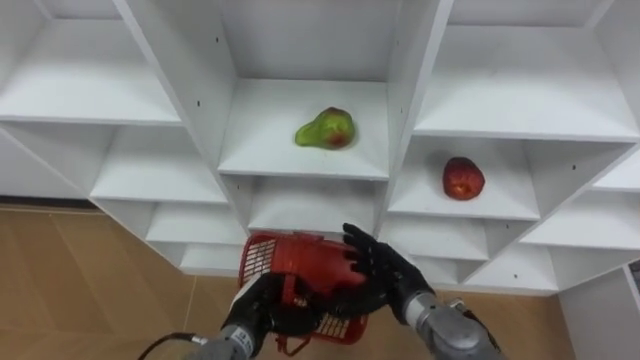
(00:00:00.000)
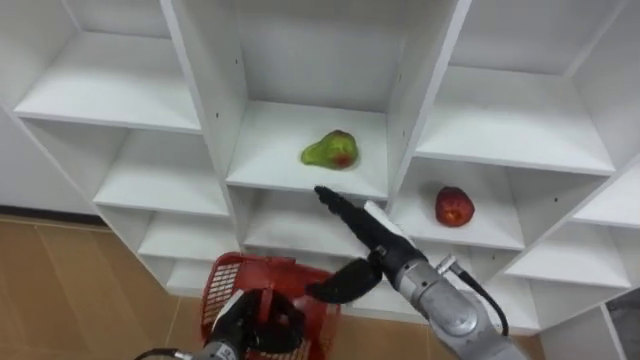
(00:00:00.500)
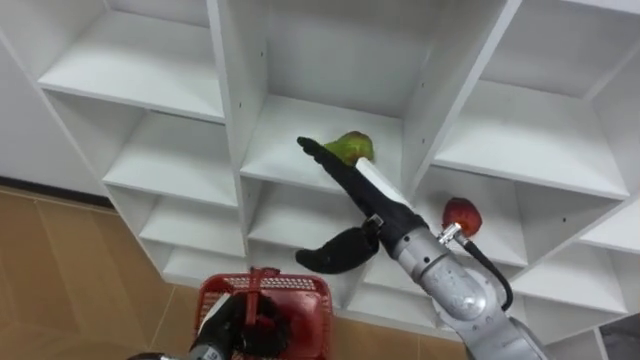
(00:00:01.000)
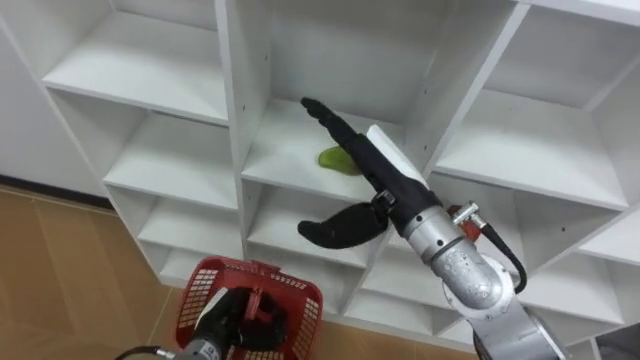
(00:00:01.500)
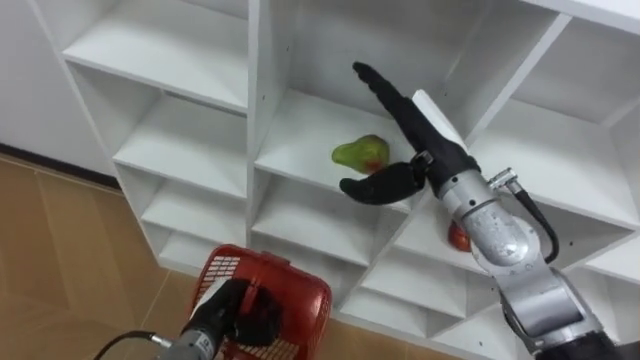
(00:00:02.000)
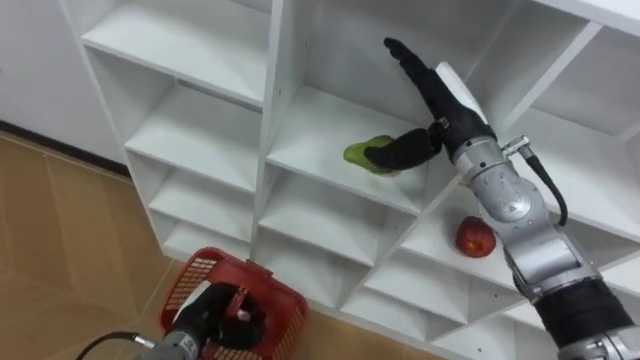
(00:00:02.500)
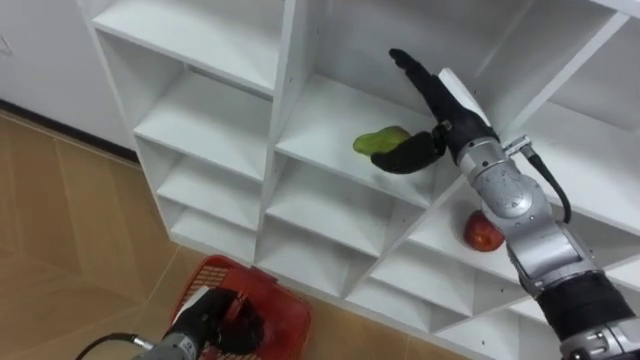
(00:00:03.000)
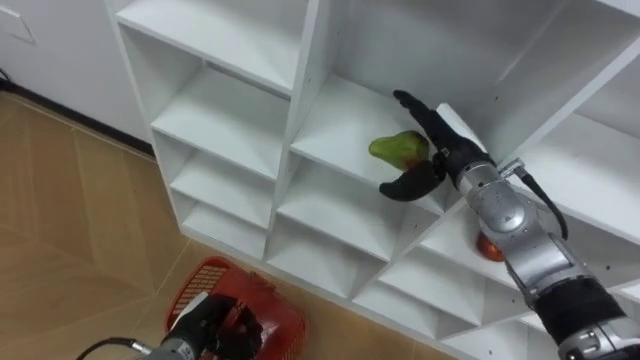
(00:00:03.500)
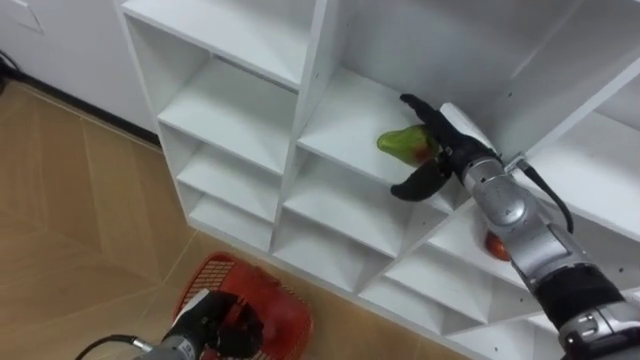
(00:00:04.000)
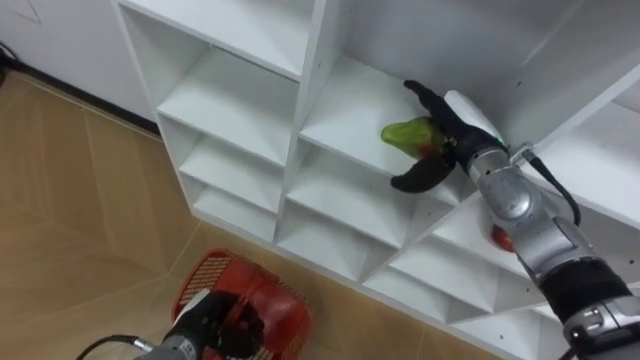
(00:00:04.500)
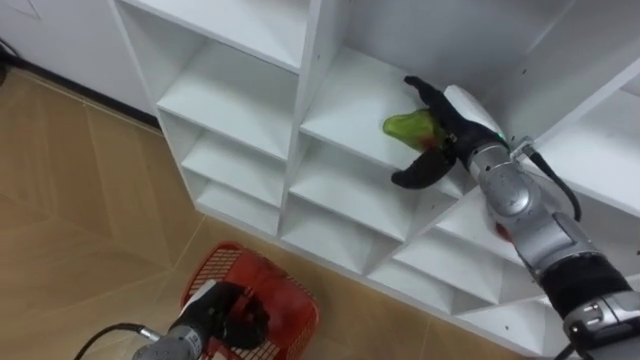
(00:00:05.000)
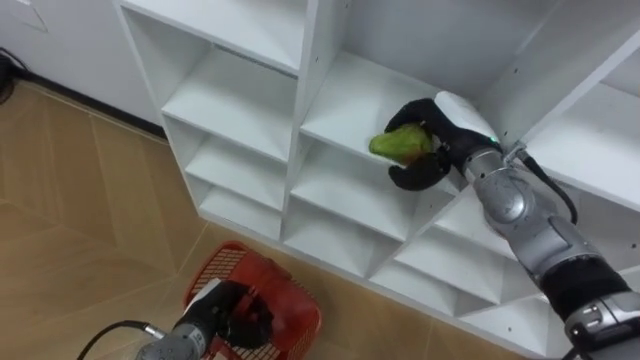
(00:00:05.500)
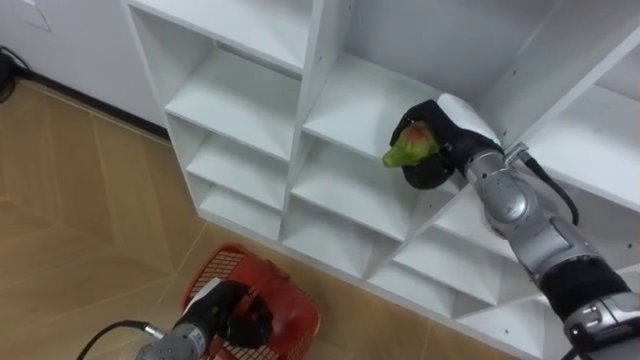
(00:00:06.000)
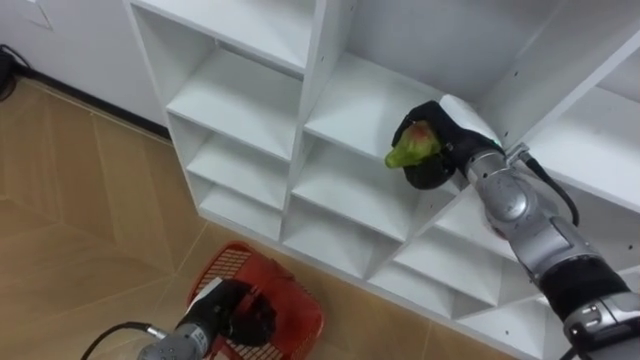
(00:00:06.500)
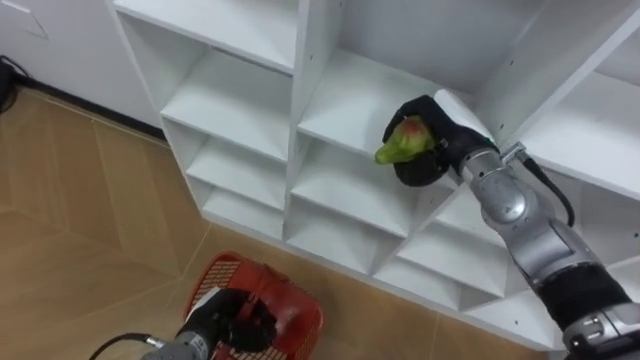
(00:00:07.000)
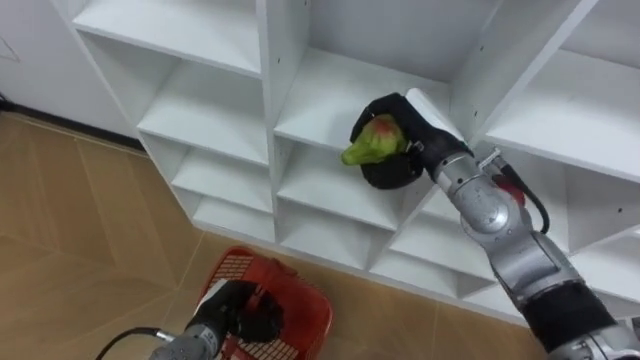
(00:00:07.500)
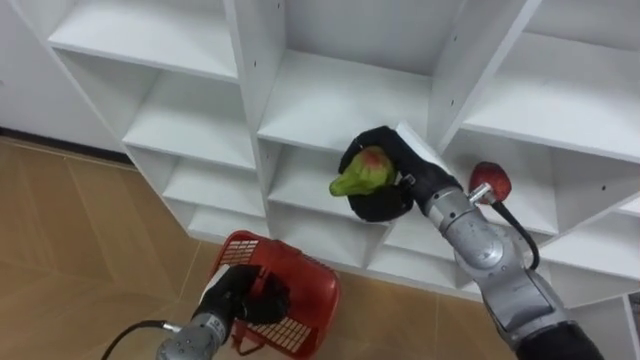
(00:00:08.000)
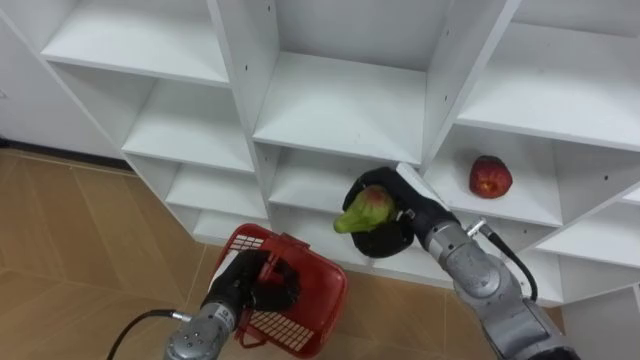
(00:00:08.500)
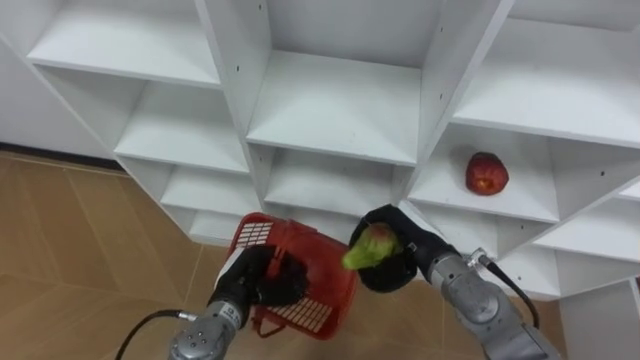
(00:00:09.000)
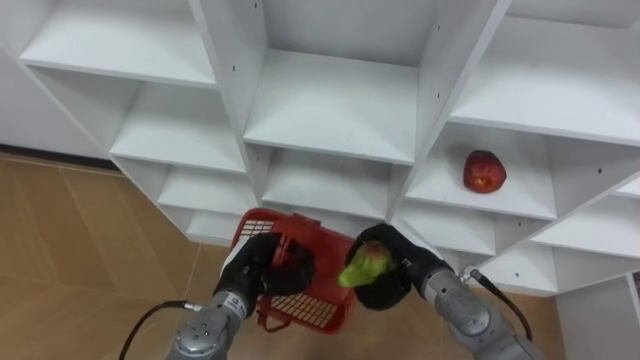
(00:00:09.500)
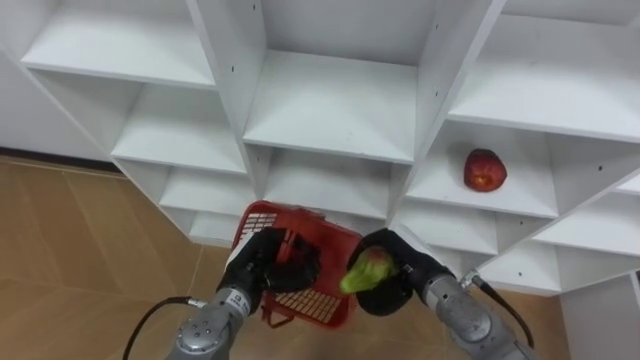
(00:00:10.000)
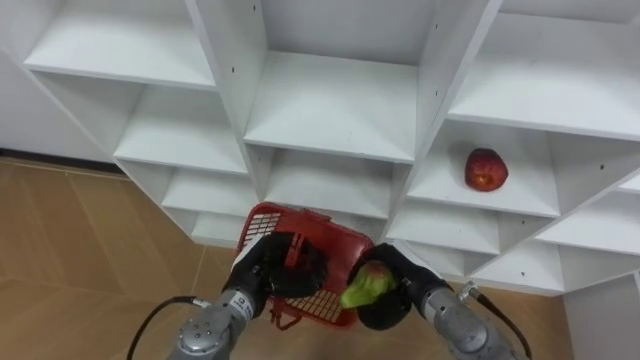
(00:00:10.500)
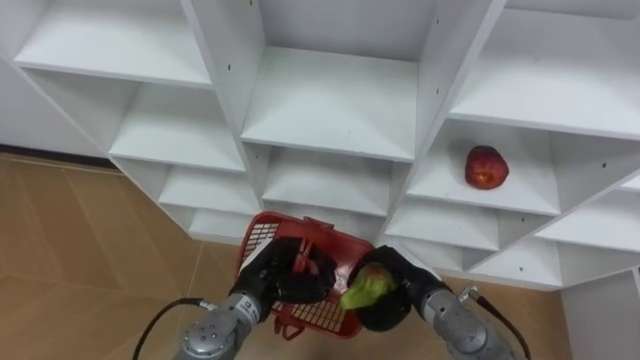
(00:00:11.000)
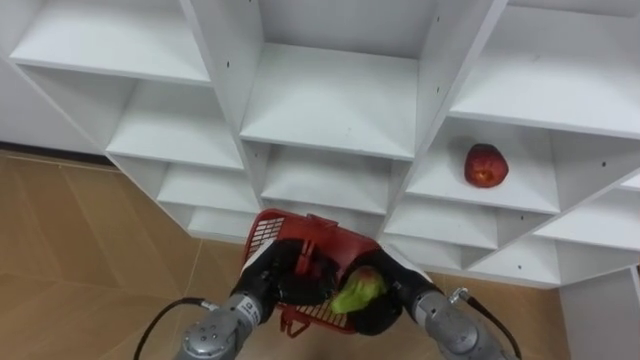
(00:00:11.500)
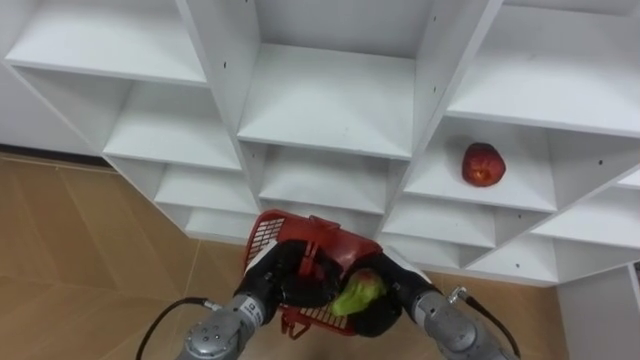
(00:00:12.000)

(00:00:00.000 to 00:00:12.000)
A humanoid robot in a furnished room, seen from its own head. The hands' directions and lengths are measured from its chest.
Task of the whole recording: Hold the basket and collect the fruits from 3 different cells of the closet into it.
00:00:00.000 - 00:00:02.000: The right hand shifts some 20 cm upward and forward. Meanwhile the left hand travels to the left by about 5 cm.
00:00:02.000 - 00:00:04.000: The right hand heads downward, forward and to the right, covering about 10 cm.
00:00:04.000 - 00:00:06.000: The right hand closes its fingers.
00:00:06.000 - 00:00:08.000: The right hand travels to the left and backward by roughly 10 cm.
00:00:08.000 - 00:00:10.000: The right hand travels downward and backward by about 15 cm; the left hand shifts by approximately 5 cm.
00:00:10.000 - 00:00:12.000: There are only small adjustments of the hands.

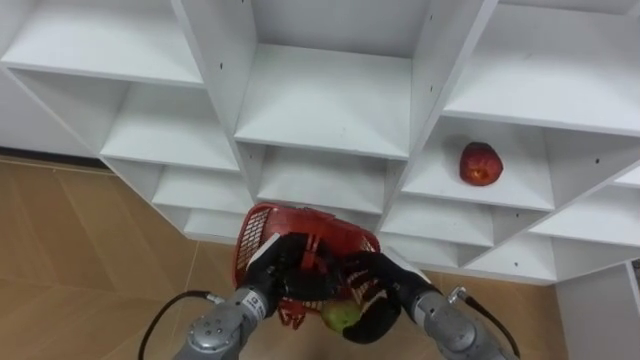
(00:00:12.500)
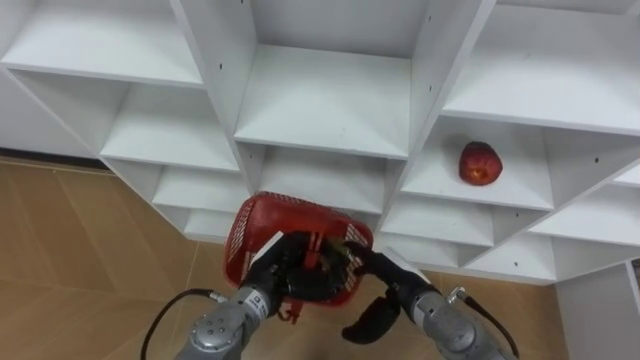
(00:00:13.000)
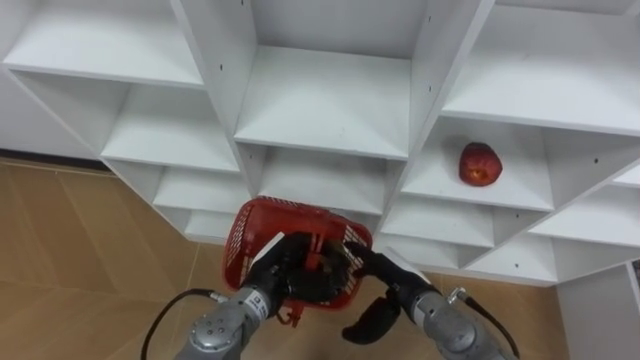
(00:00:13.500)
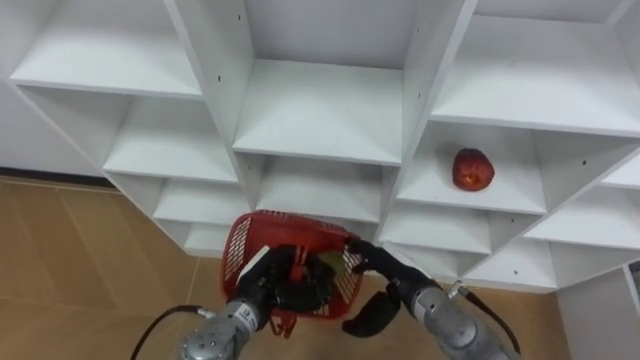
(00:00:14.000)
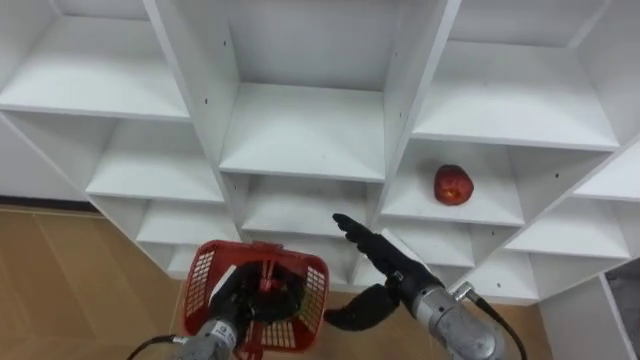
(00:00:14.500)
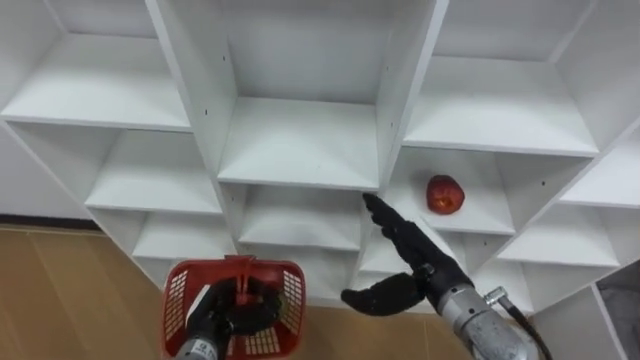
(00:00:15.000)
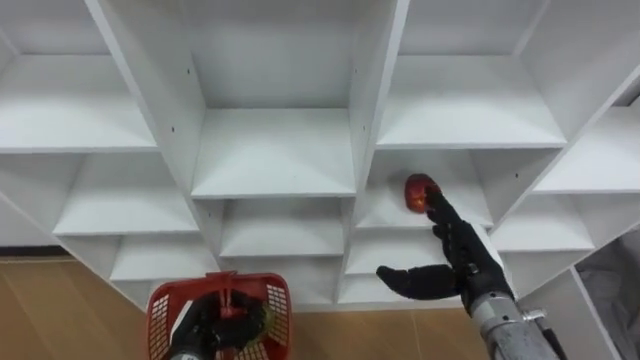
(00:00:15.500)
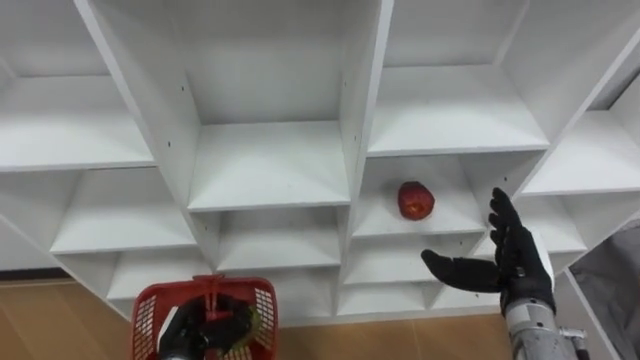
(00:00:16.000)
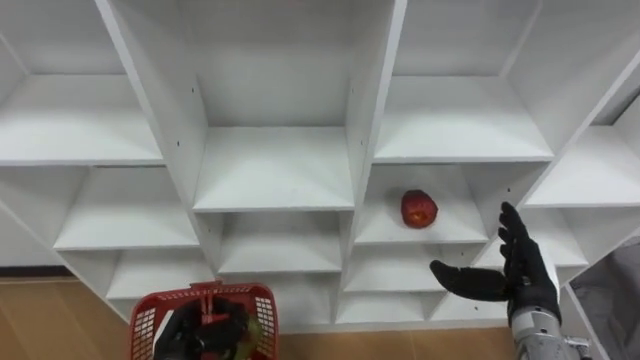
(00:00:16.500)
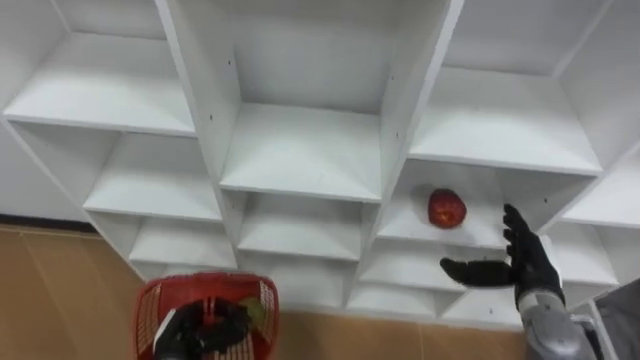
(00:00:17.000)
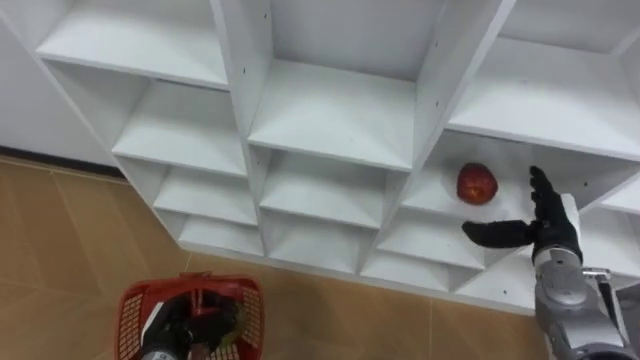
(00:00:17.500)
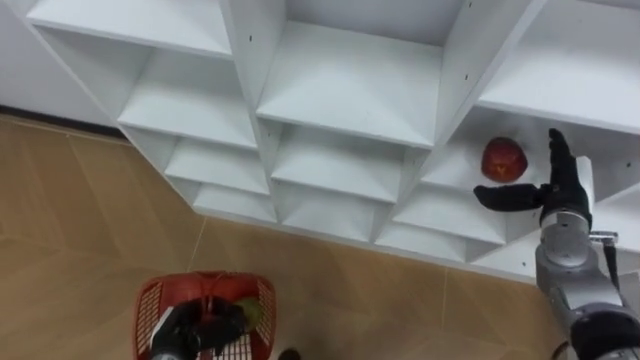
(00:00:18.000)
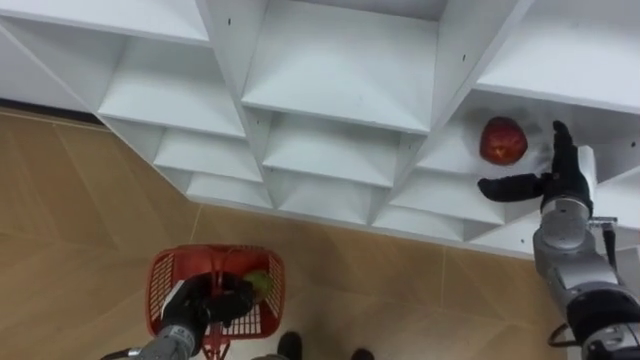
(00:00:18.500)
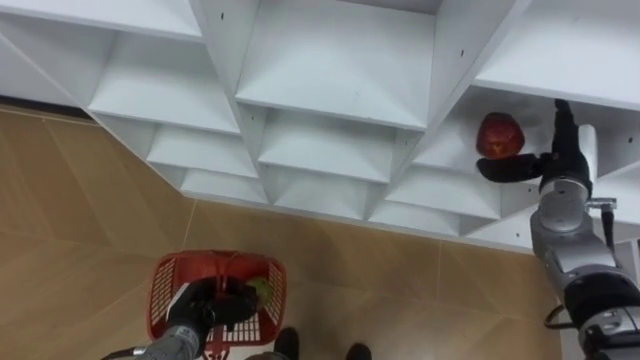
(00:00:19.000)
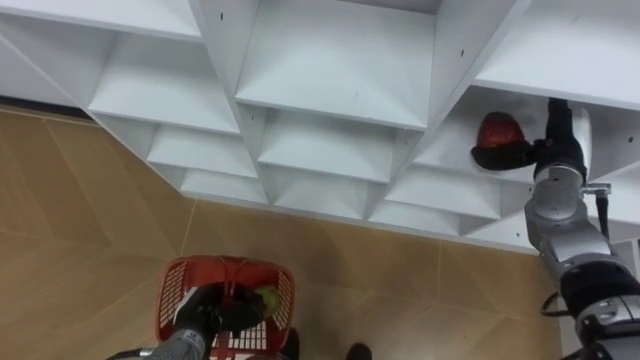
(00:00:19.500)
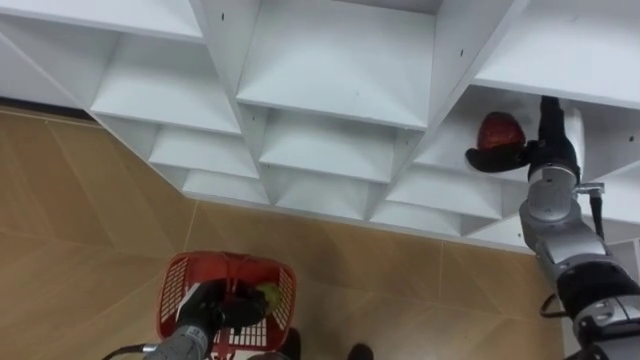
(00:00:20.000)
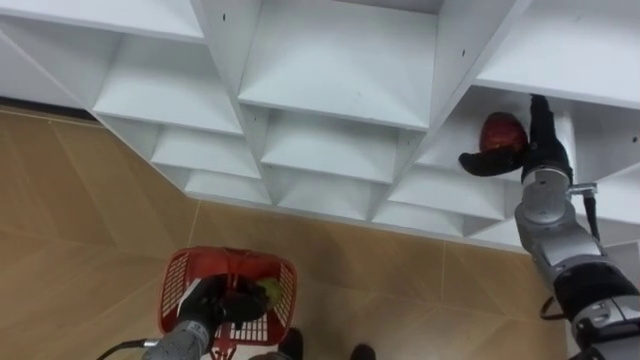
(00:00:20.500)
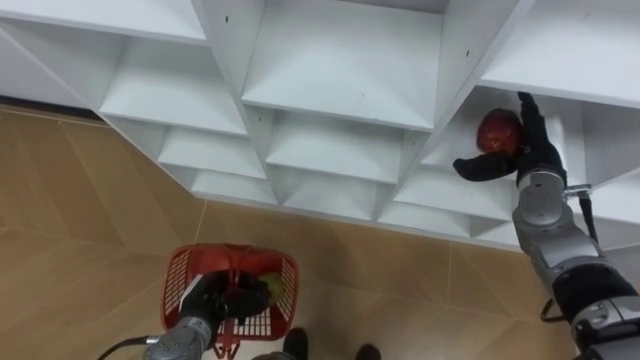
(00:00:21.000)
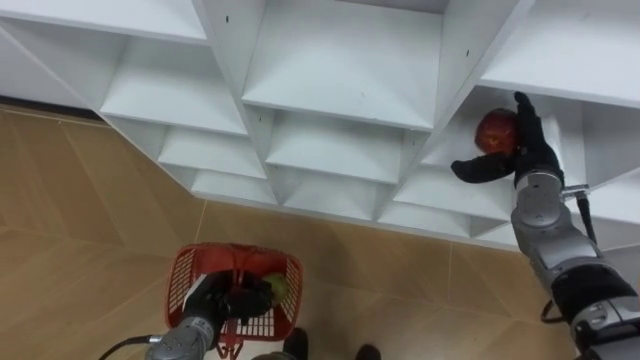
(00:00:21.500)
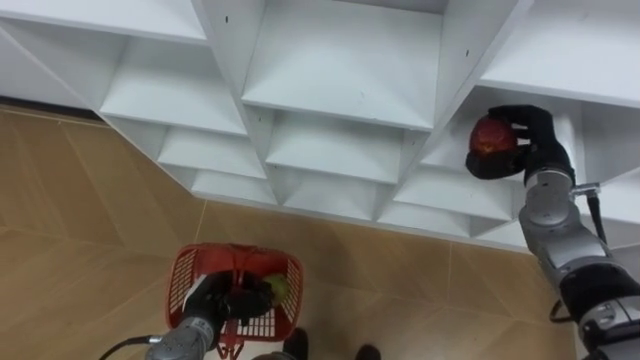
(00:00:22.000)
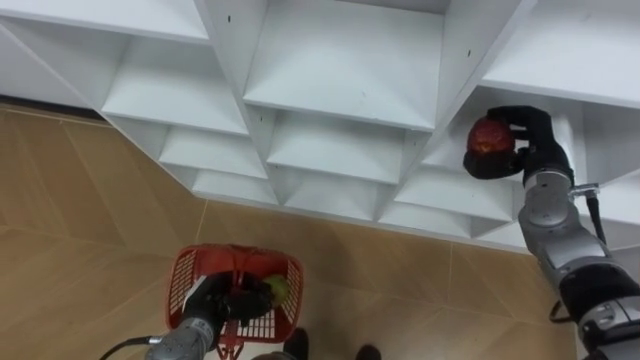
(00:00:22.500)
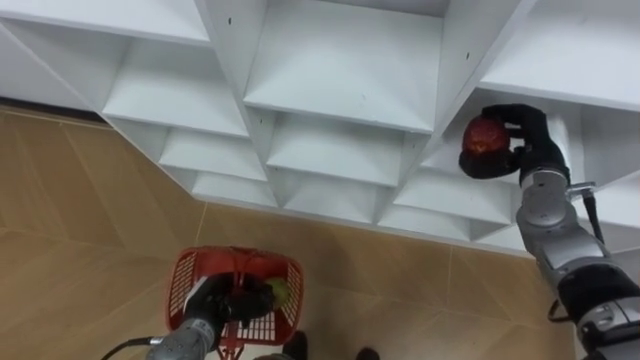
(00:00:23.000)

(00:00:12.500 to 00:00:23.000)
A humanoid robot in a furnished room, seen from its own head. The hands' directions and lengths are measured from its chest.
Task of the whole recording: Hold the basket and collect the fruits from 3 different cells of the closet into it.
00:00:12.500 - 00:00:14.500: The left hand heads to the left, covering some 5 cm, while the right hand shifts about 5 cm upward.
00:00:14.500 - 00:00:16.500: The right hand travels to the right by some 15 cm. Meanwhile the left hand moves to the left and backward, roughly 10 cm.
00:00:16.500 - 00:00:19.000: The right hand moves forward and upward, roughly 15 cm.
00:00:19.000 - 00:00:21.000: The hands stay close to where they were, moving slightly.
00:00:21.000 - 00:00:23.000: The right hand closes up.
